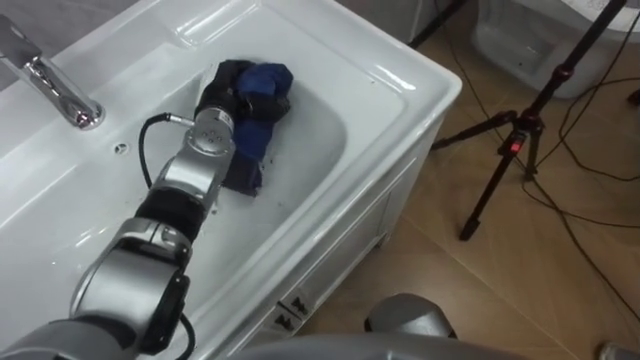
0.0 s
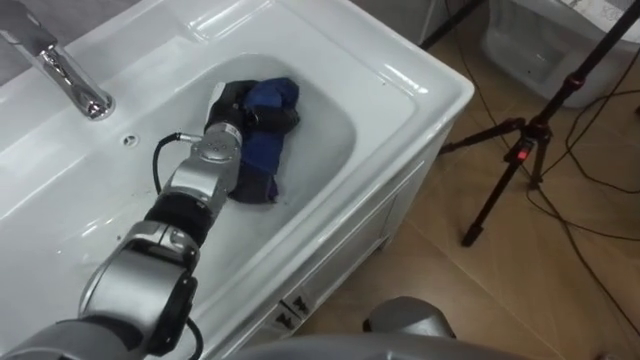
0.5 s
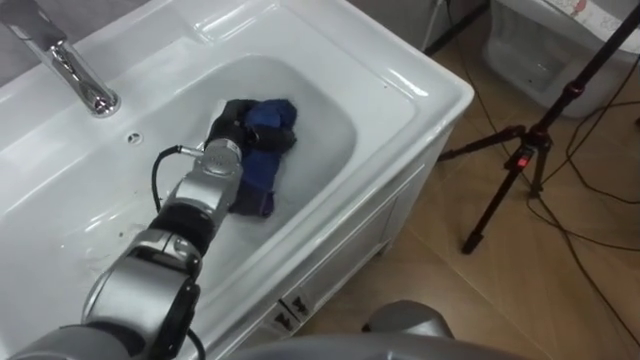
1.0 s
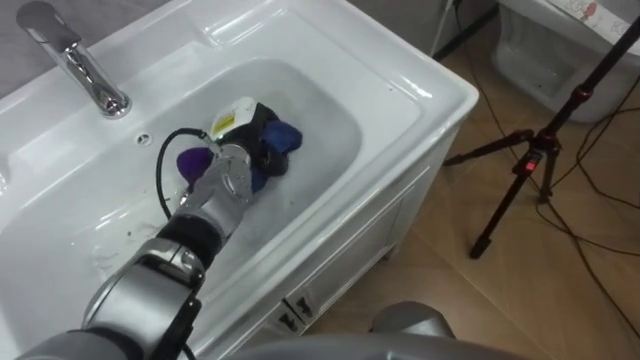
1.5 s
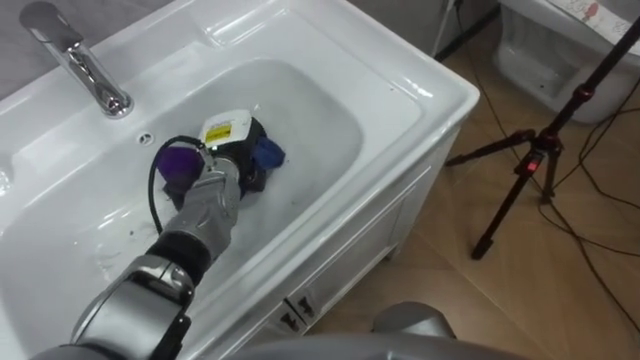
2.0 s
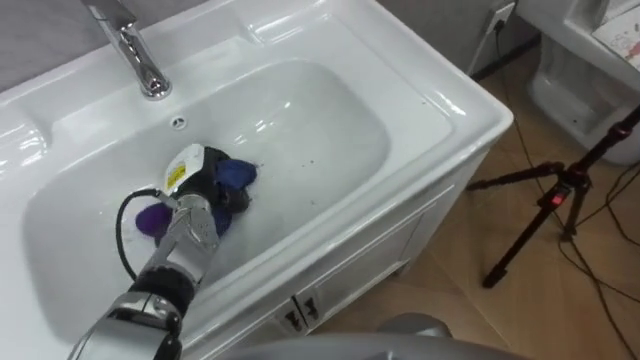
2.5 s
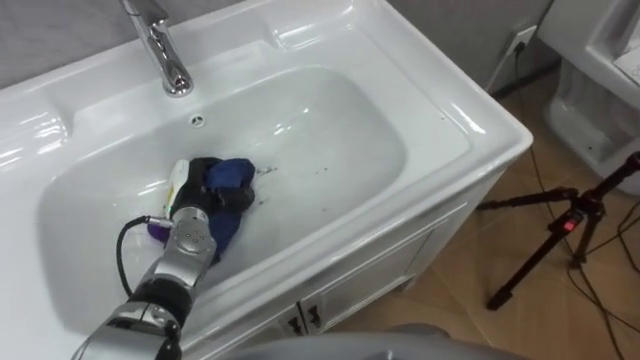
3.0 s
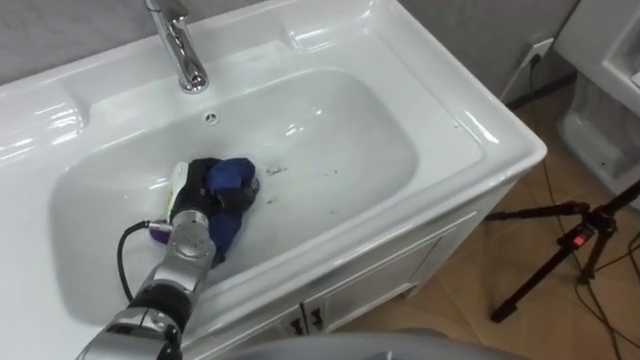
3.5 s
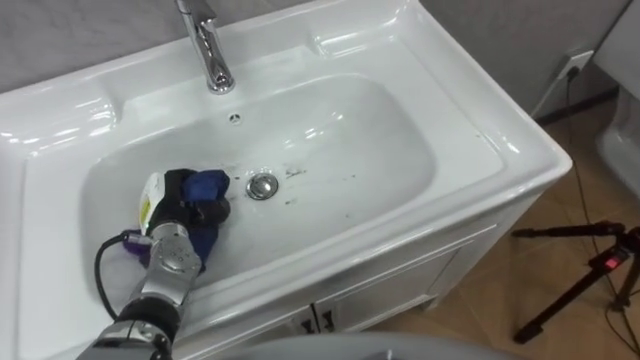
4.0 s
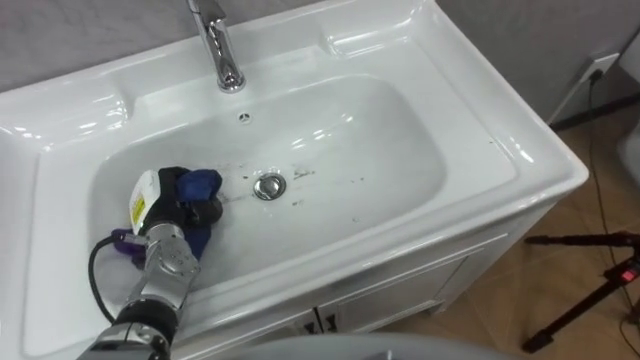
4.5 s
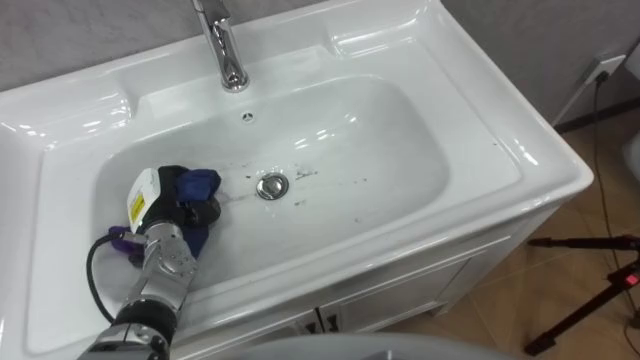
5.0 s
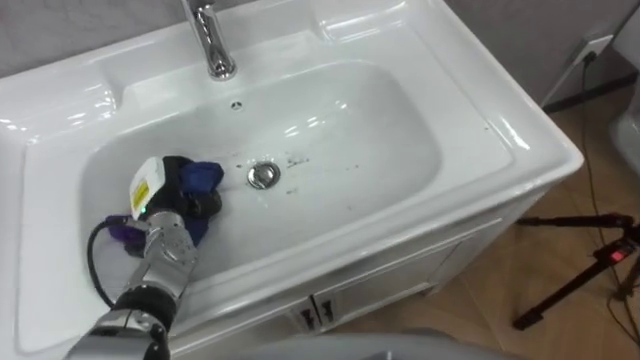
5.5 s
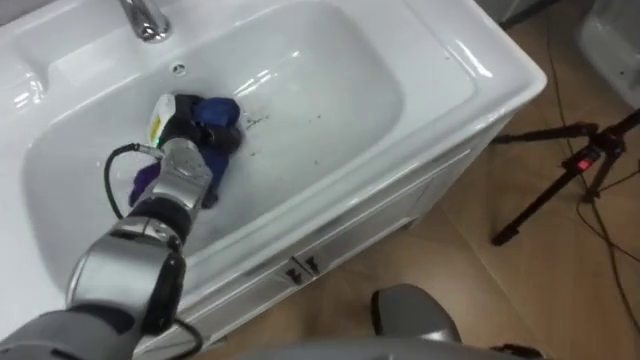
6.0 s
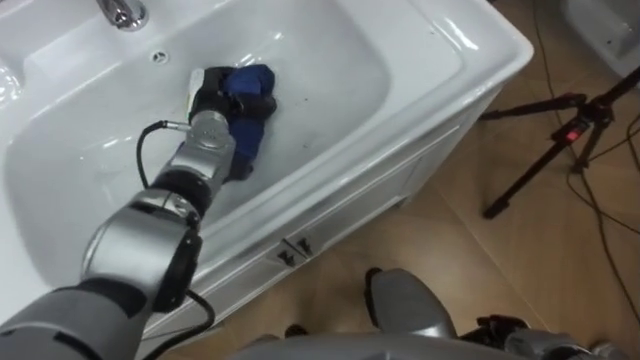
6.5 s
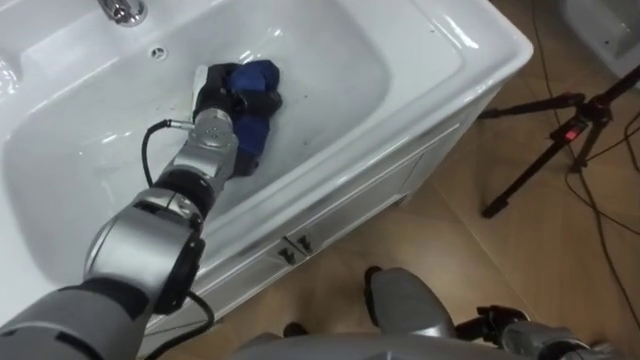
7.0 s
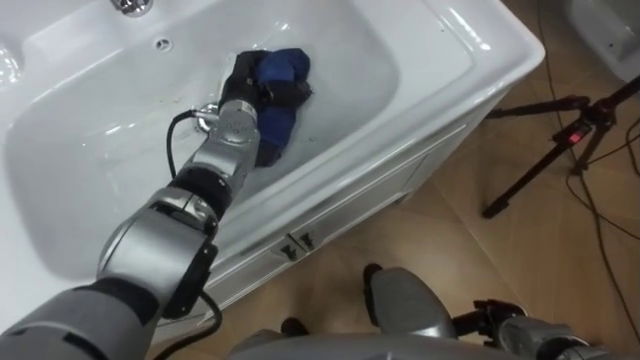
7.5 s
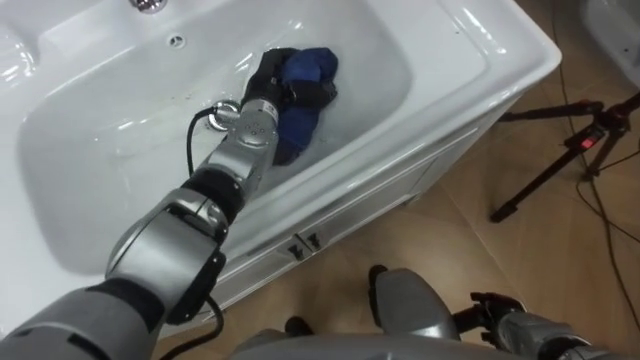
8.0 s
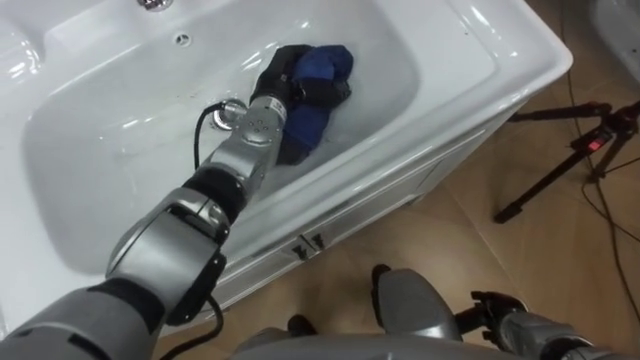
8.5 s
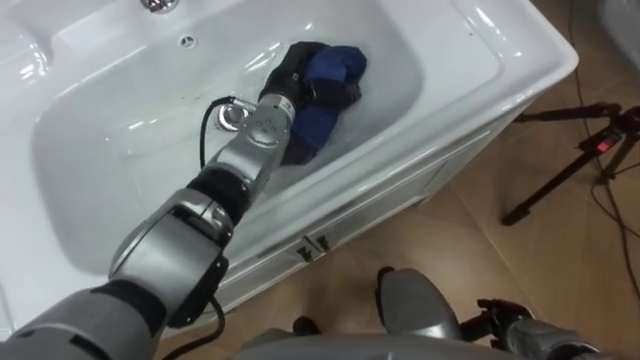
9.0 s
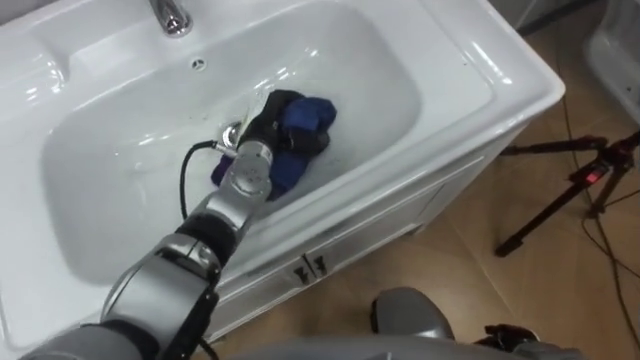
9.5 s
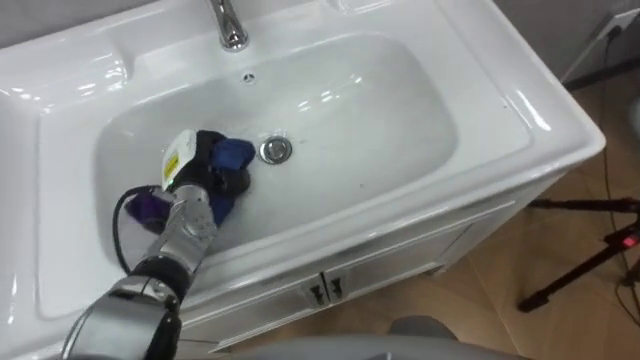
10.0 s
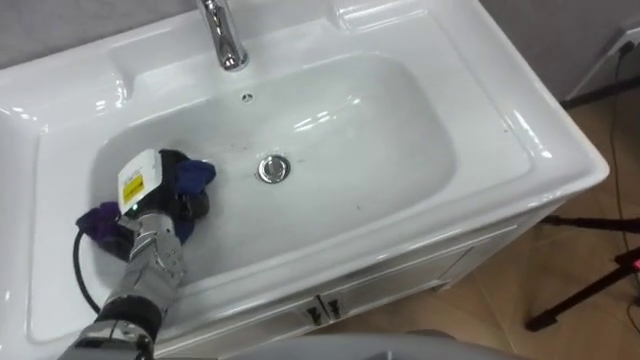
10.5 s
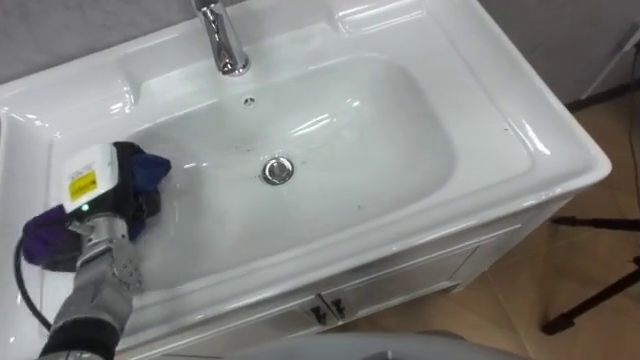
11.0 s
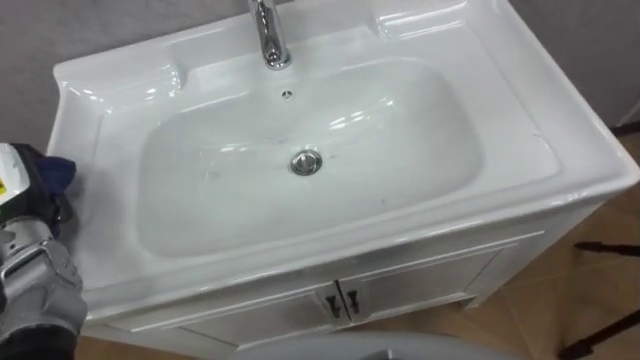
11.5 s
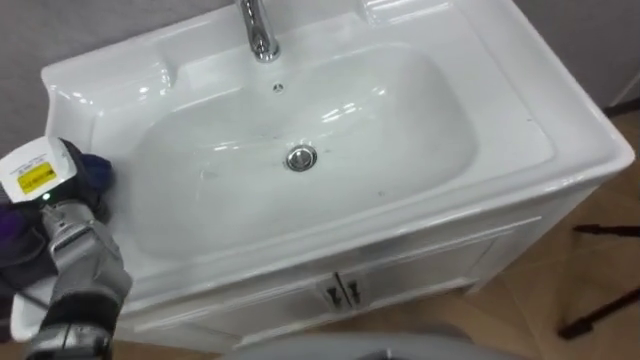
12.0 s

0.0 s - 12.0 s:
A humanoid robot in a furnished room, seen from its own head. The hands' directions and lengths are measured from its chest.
Task of the whole recording: Use the cloth on the right to wipe away the black stain in the sink.
0.0 s - 2.0 s: The left hand moves downward, roughly 5 cm.
2.0 s - 4.0 s: The left hand shifts roughly 15 cm to the left, backward and downward.
4.0 s - 6.0 s: The left hand heads forward and upward, covering roughly 10 cm.
6.0 s - 8.0 s: The left hand moves to the right, about 15 cm.
8.0 s - 10.0 s: The left hand travels to the left, backward and downward by roughly 20 cm.

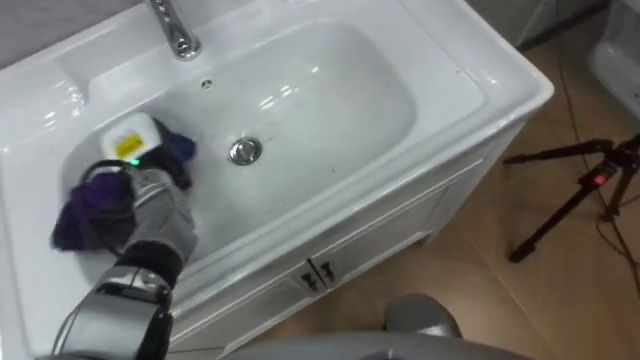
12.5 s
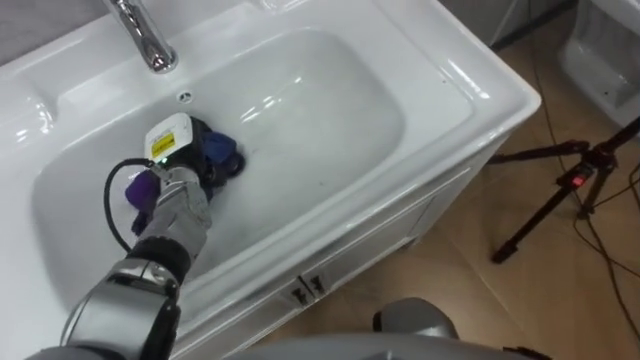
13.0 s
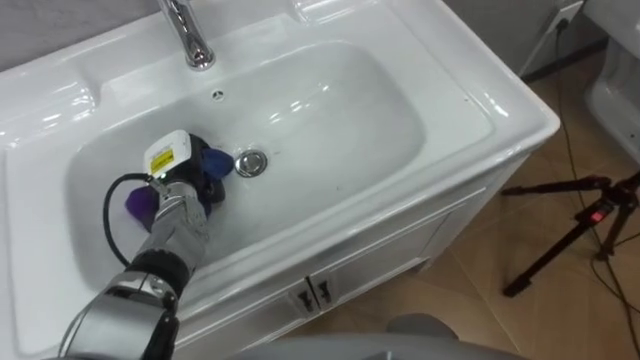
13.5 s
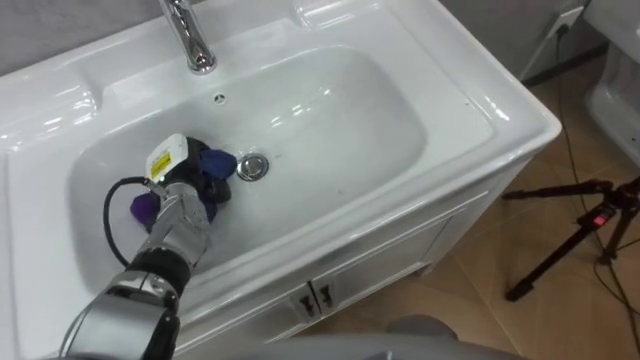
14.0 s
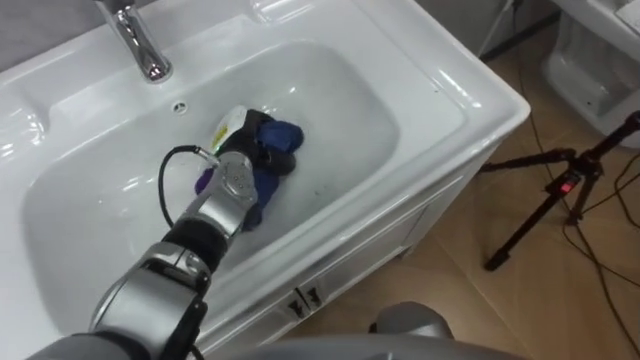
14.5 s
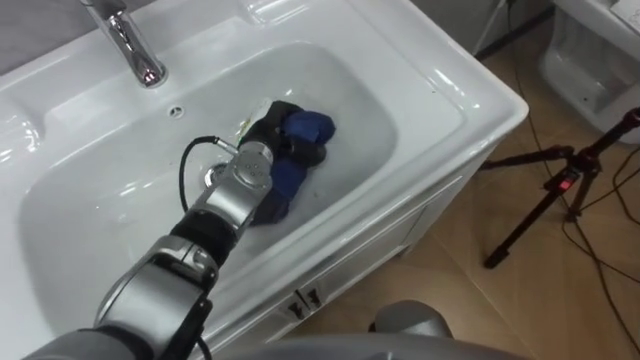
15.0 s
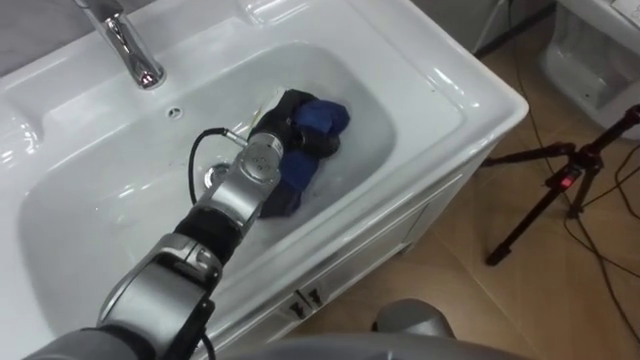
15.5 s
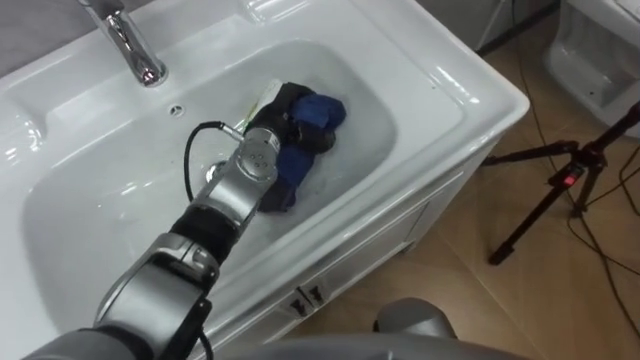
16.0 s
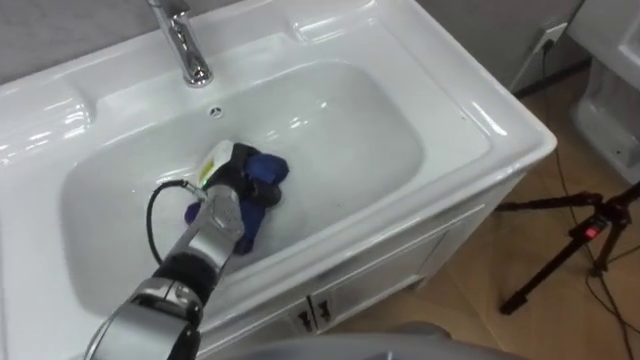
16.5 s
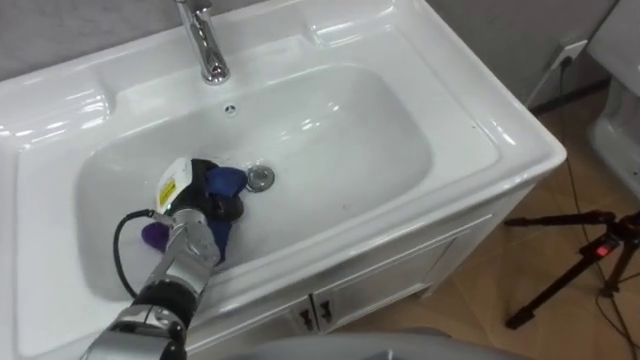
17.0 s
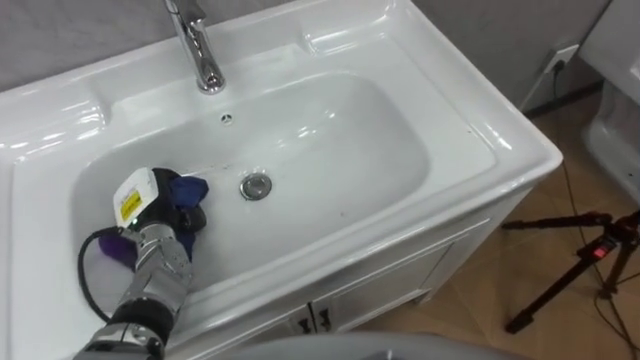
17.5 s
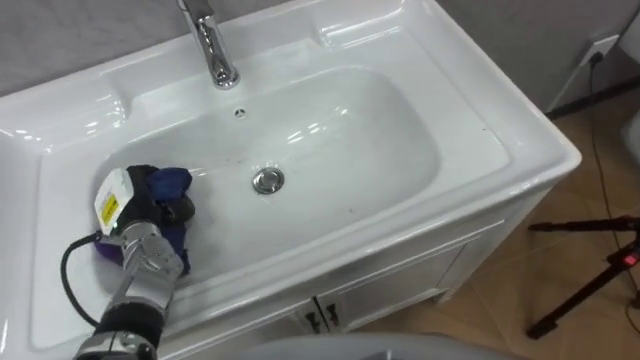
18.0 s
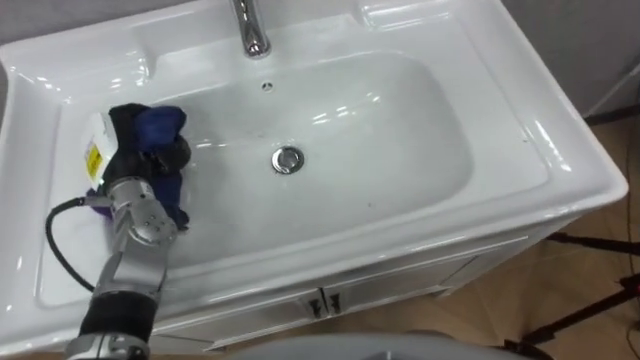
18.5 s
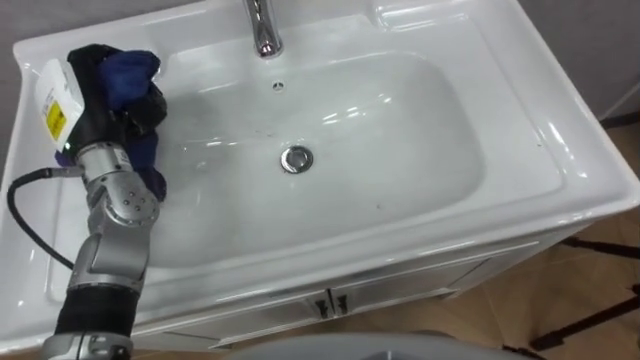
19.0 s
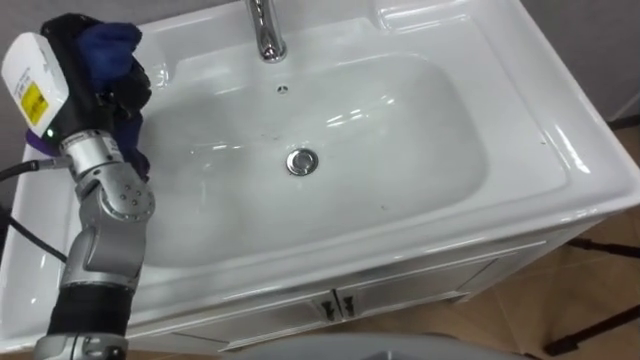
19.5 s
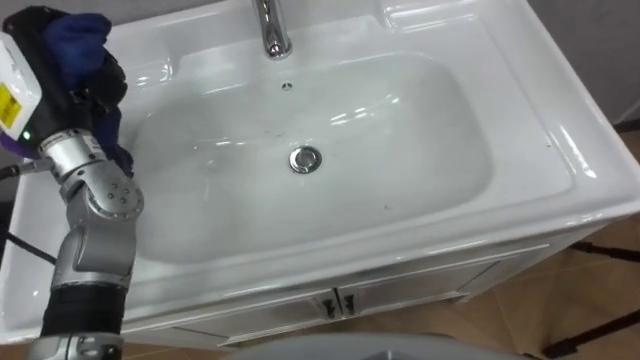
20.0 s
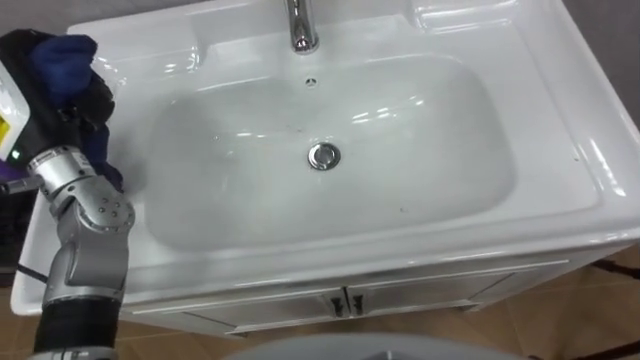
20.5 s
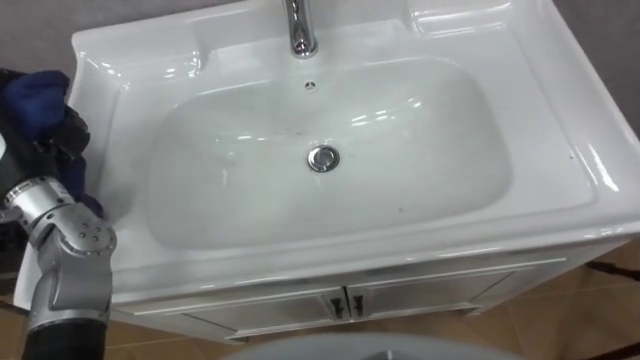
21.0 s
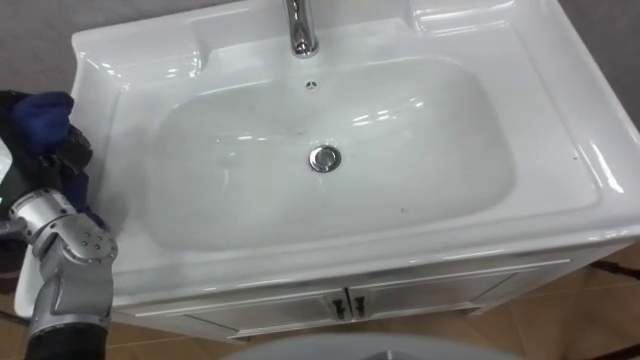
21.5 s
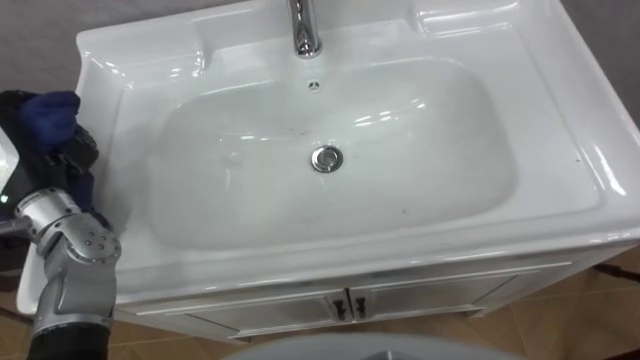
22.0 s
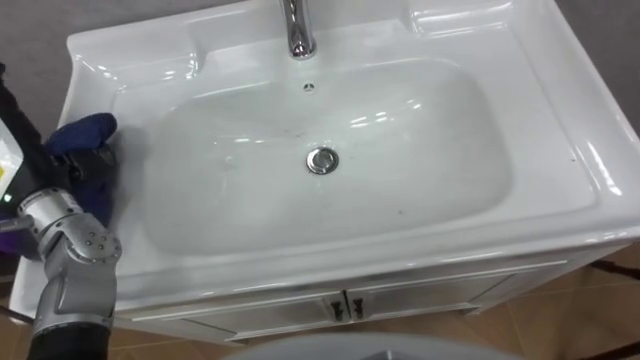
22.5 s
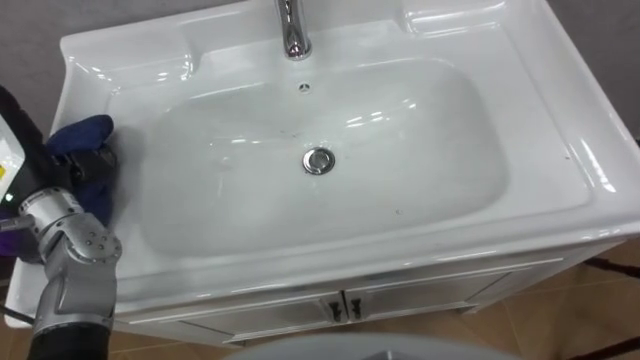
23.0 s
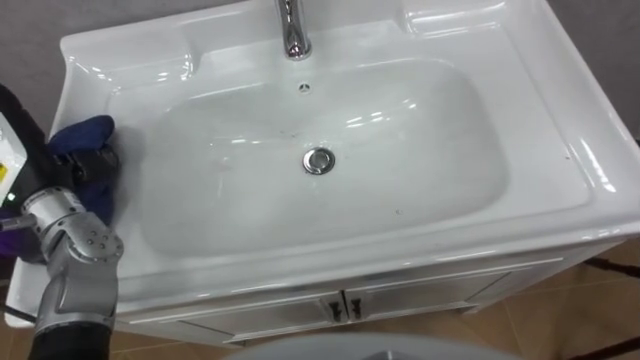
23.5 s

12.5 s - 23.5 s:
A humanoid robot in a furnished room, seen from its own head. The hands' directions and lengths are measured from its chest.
Task of the whole recording: Use the cloth on the right to wipe away the black stain in the sink.
12.5 s - 14.5 s: The left hand is displaced to the right by about 15 cm.
14.5 s - 16.0 s: The left hand travels to the right by roughly 5 cm.
16.0 s - 18.0 s: The left hand travels to the left and backward by roughly 25 cm.
18.0 s - 20.0 s: The left hand moves upward, about 20 cm.
